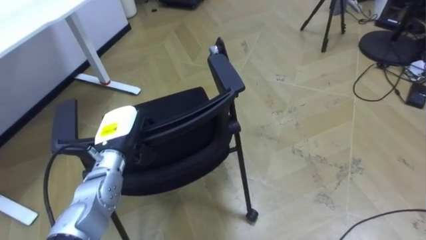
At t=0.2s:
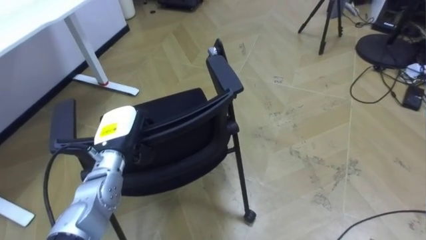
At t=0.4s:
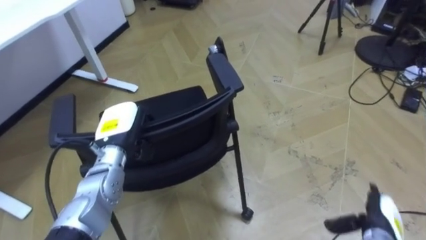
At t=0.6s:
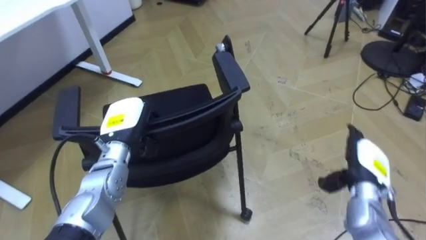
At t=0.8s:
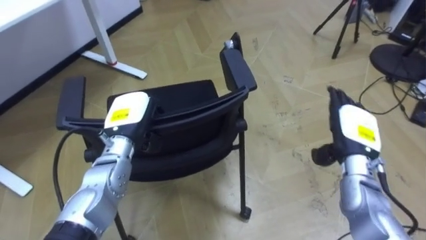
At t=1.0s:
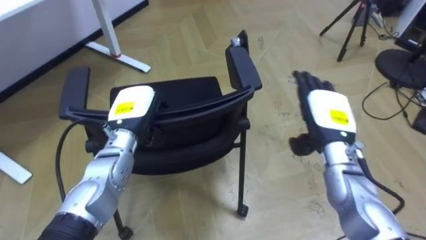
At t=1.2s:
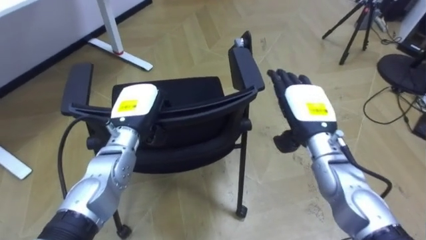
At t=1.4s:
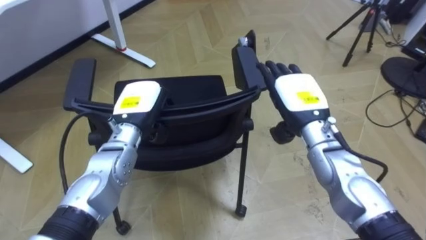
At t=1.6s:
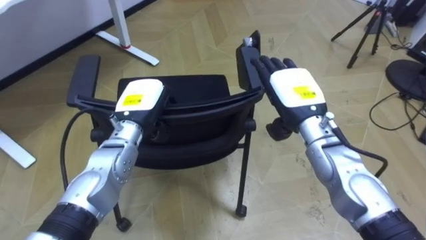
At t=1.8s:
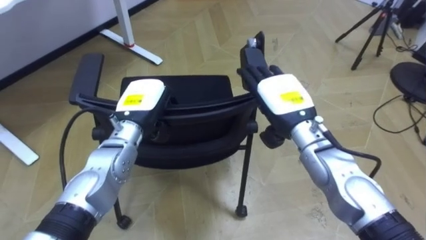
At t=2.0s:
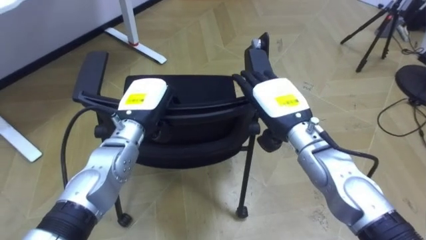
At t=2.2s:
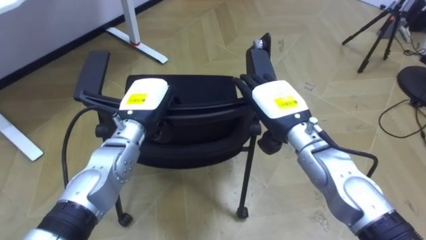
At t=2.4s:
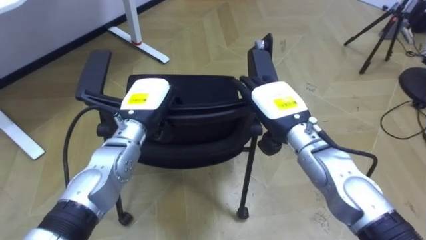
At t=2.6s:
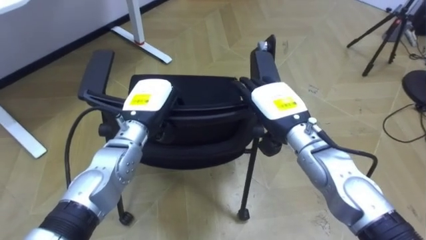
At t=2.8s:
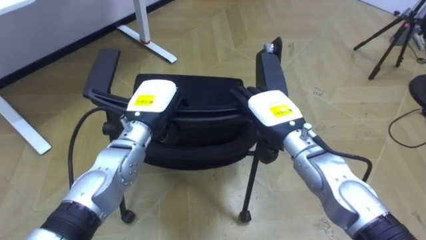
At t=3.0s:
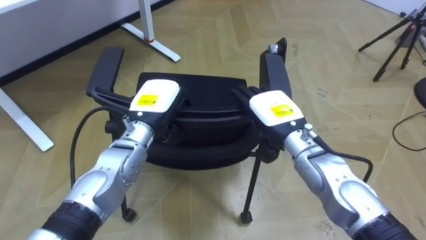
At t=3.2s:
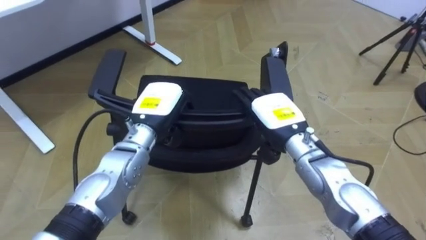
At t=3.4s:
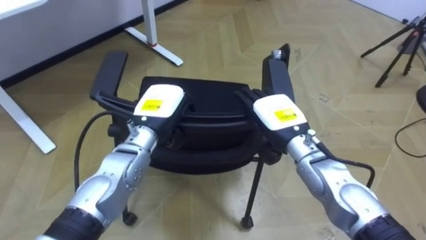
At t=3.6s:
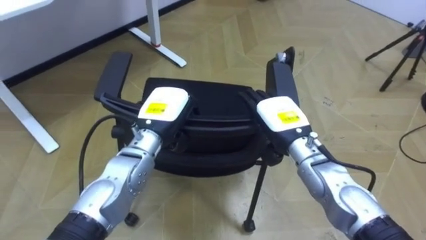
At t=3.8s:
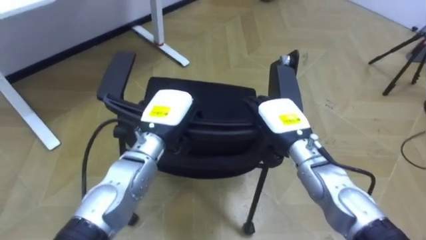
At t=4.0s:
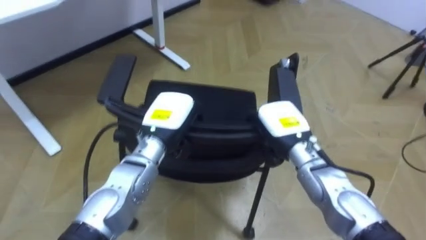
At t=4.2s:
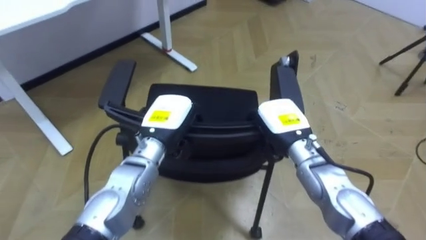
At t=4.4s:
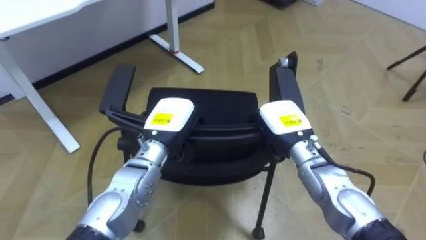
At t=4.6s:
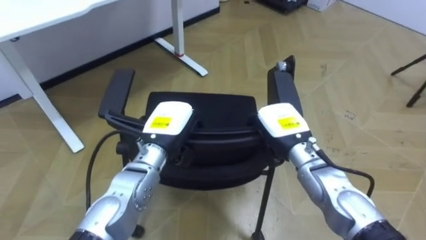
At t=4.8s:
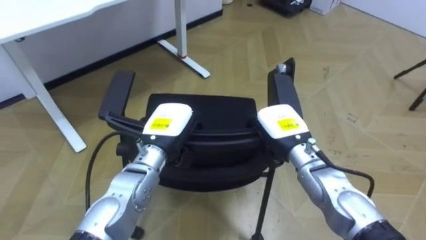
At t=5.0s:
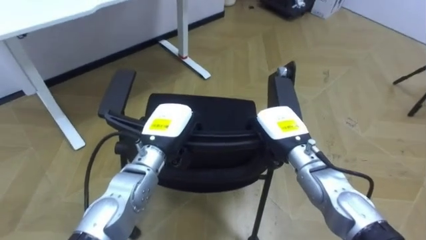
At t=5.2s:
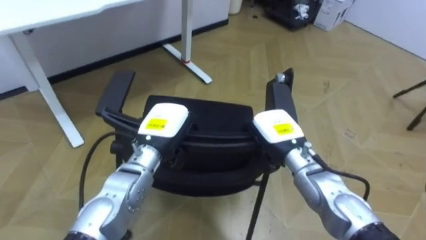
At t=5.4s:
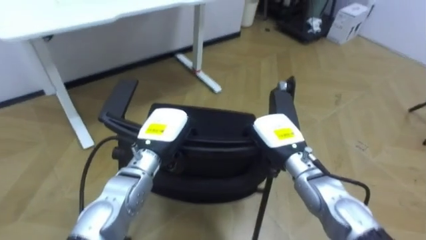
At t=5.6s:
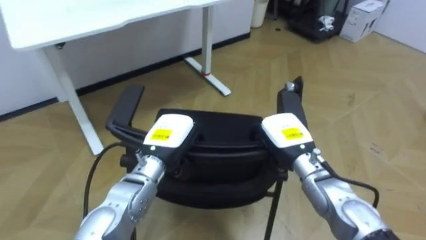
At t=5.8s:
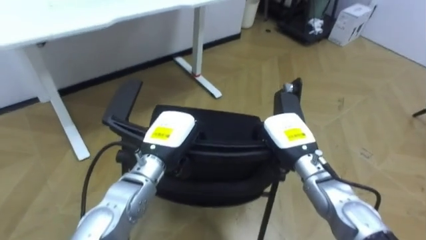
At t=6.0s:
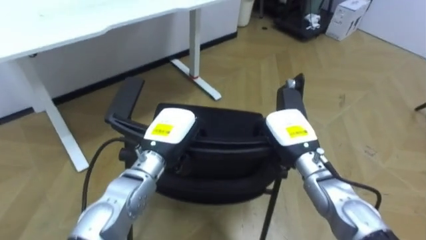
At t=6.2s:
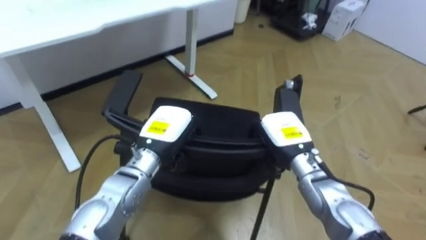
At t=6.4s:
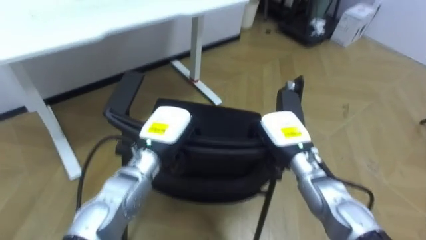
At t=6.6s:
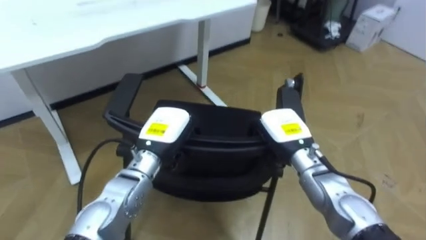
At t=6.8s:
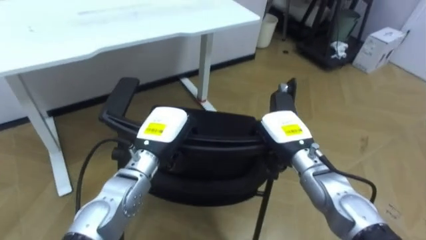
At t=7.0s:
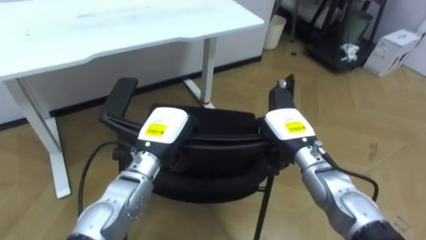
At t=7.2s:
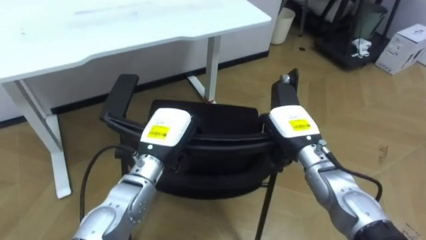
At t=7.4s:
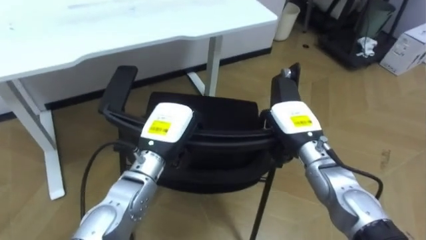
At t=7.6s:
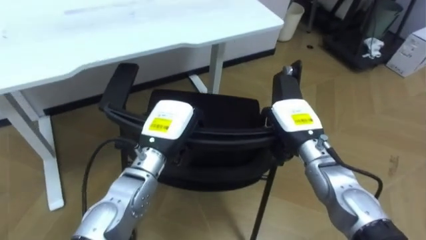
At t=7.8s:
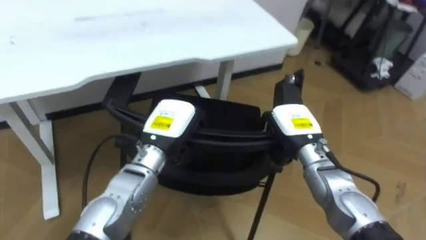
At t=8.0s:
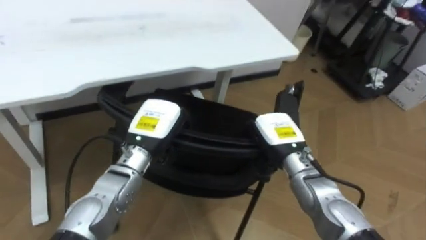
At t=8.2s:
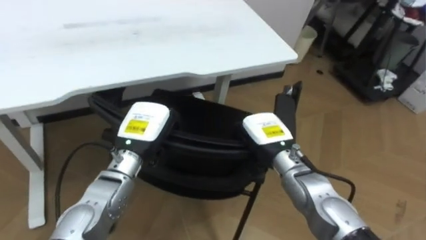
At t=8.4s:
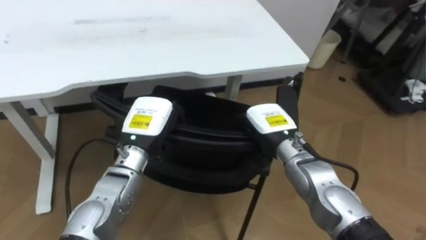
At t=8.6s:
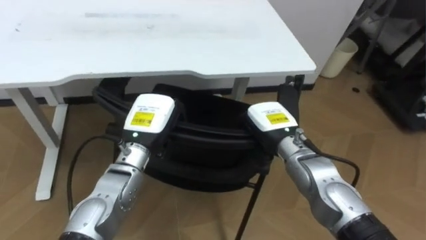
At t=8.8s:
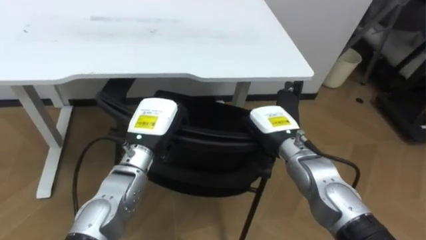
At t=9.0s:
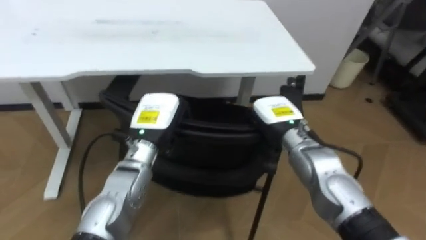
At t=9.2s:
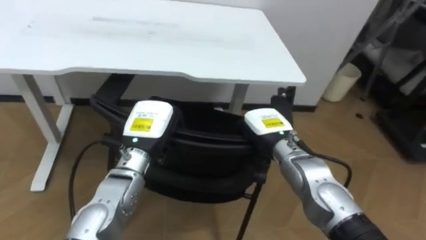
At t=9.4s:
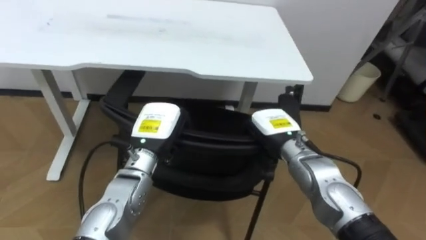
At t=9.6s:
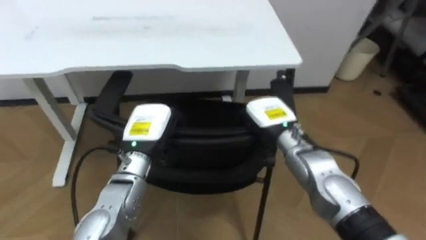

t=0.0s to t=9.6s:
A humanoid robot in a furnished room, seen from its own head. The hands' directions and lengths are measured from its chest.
Task of the whole recording: Push the chair under the table.
t=0.0s to t=1.6s: The left hand shifts by roughly 10 cm.
t=1.6s to t=3.2s: The right hand ends up some 5 cm from where it was.
t=8.0s to t=9.6s: The robot's body swings about 20 degrees to its left.

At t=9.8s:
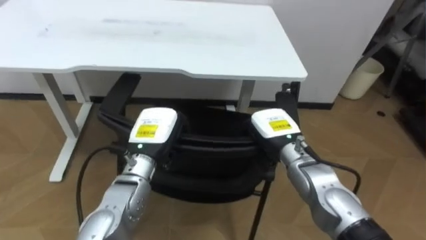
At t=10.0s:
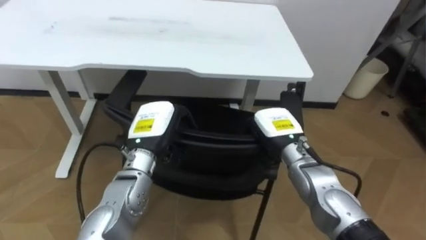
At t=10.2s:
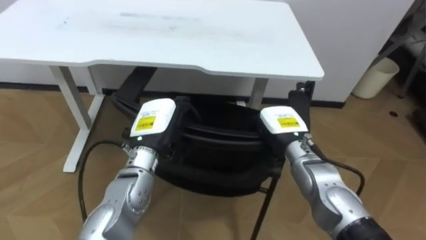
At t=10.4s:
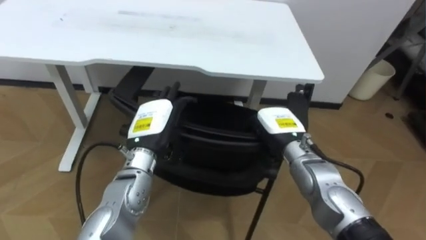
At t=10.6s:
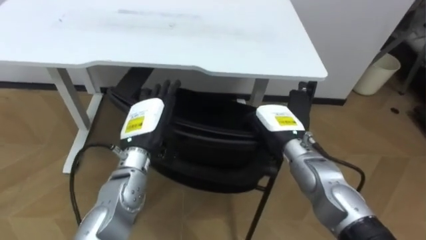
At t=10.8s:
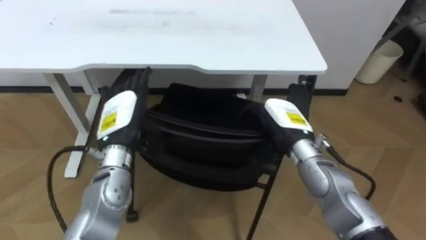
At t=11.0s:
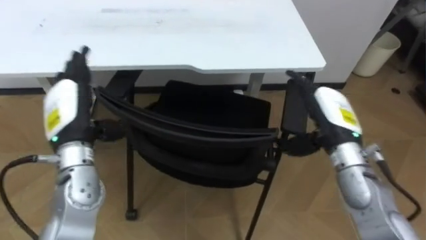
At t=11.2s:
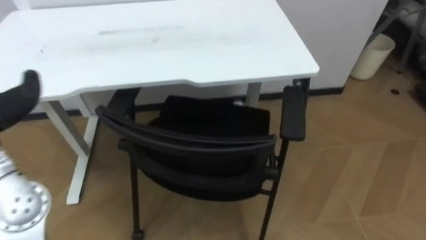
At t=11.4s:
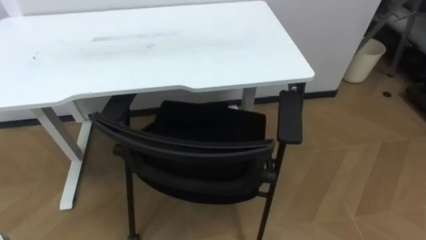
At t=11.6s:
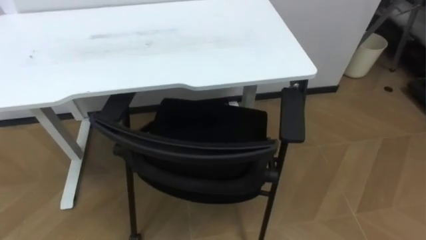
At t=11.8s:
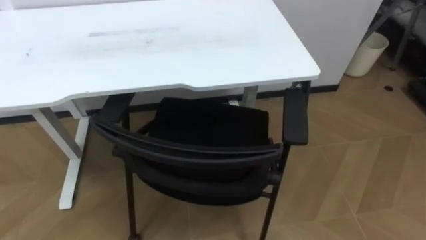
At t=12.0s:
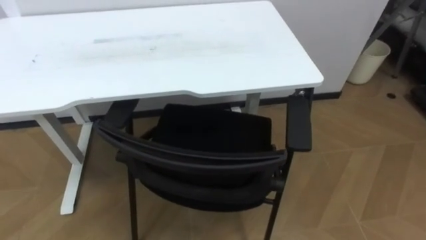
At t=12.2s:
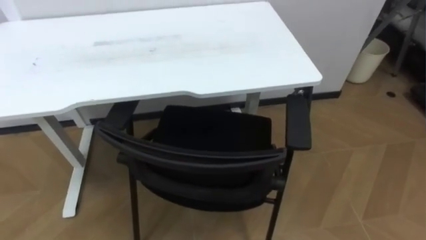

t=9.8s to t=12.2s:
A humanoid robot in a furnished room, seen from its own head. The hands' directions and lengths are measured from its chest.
Task of the whole recording: Push the chair under the table.
t=9.8s to t=11.0s: The right hand heads to the right and upward, covering about 10 cm. Meanwhile the left hand shifts some 15 cm to the left and upward, and opens up.
